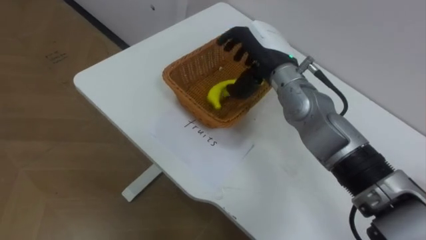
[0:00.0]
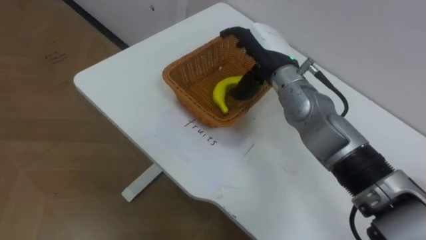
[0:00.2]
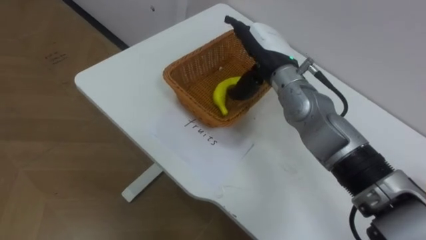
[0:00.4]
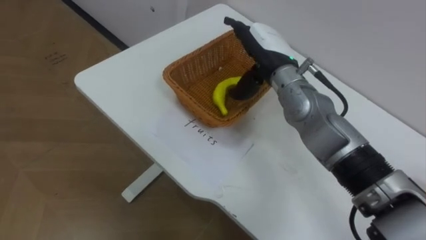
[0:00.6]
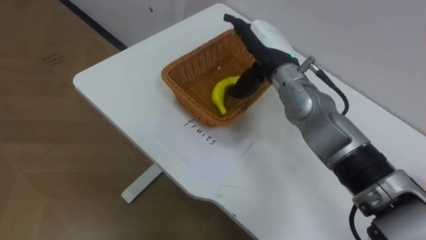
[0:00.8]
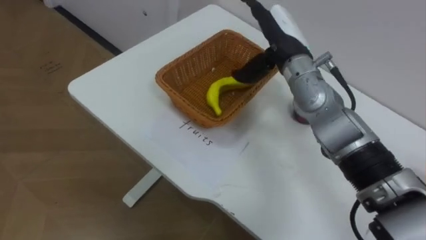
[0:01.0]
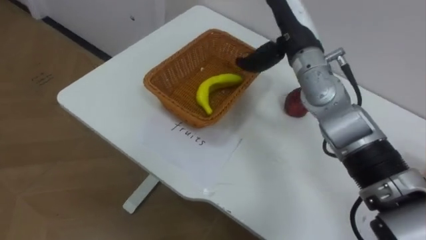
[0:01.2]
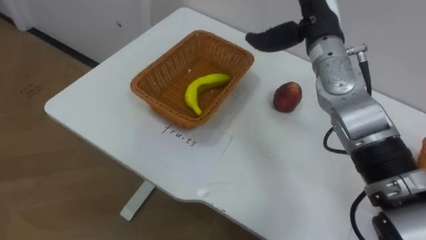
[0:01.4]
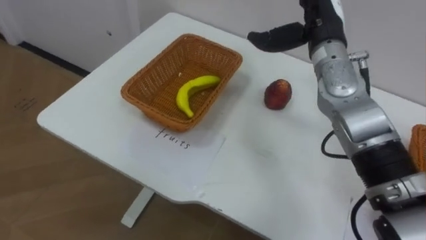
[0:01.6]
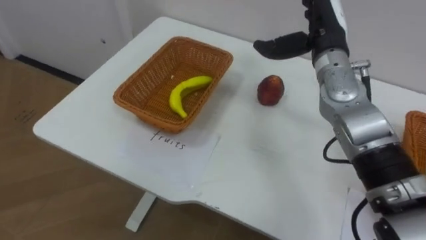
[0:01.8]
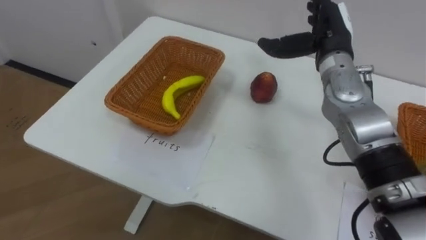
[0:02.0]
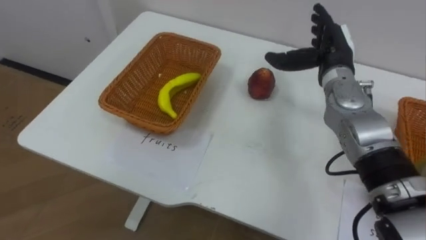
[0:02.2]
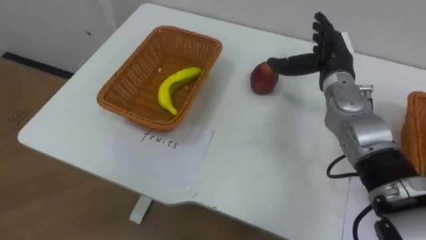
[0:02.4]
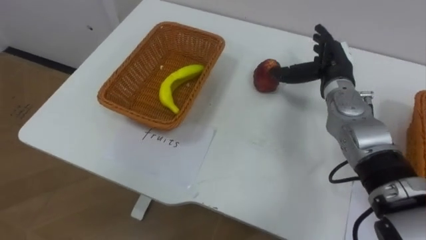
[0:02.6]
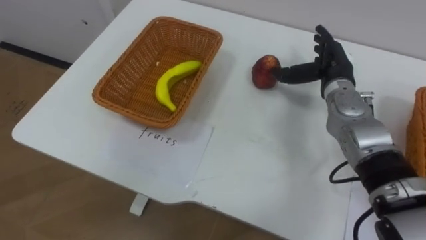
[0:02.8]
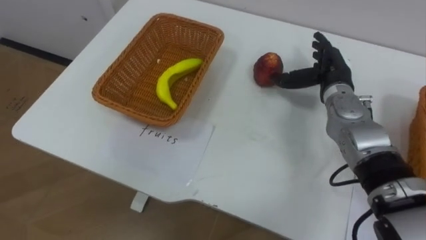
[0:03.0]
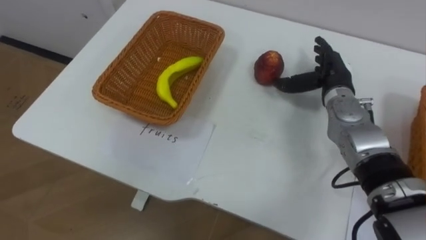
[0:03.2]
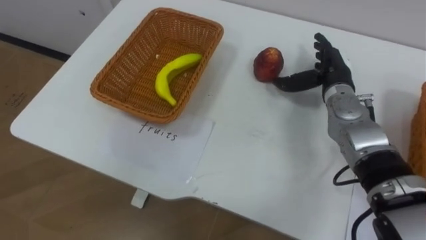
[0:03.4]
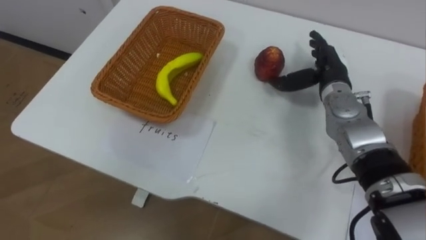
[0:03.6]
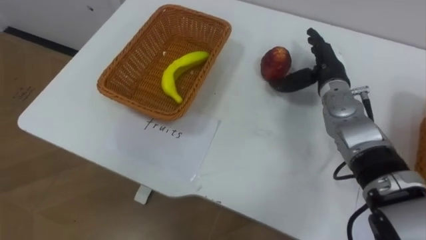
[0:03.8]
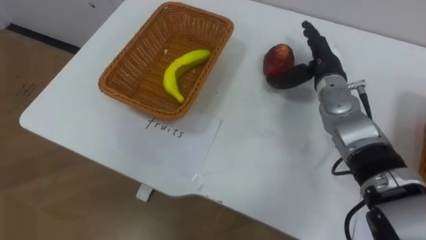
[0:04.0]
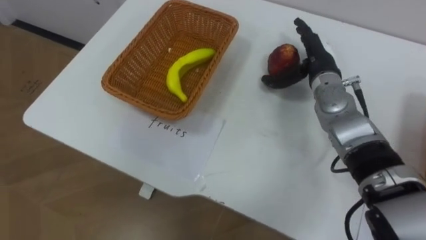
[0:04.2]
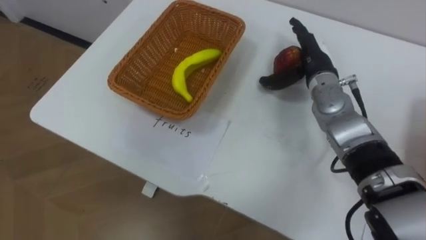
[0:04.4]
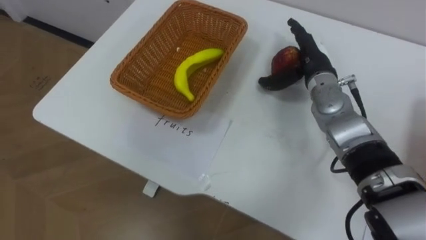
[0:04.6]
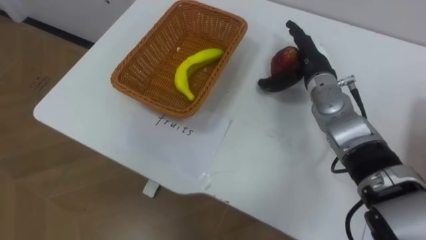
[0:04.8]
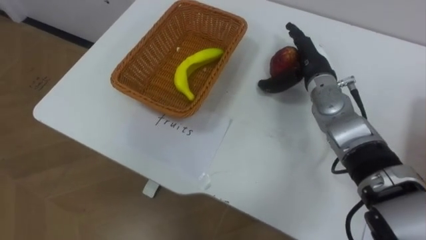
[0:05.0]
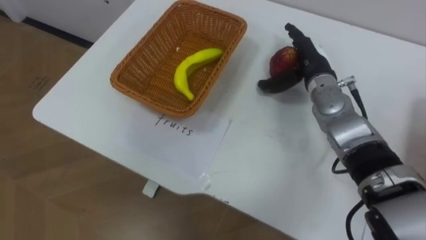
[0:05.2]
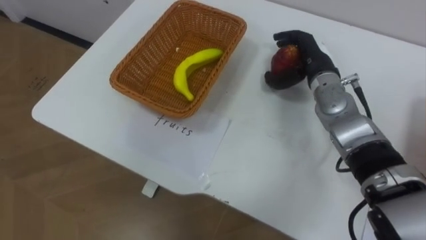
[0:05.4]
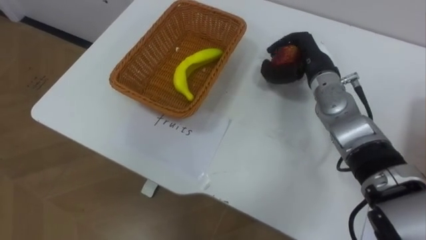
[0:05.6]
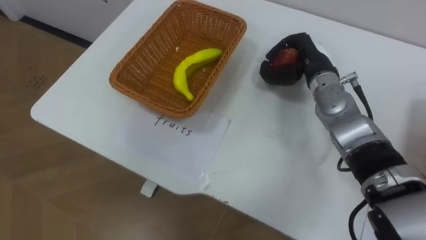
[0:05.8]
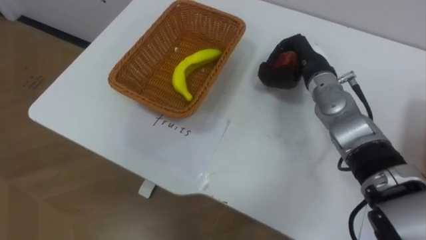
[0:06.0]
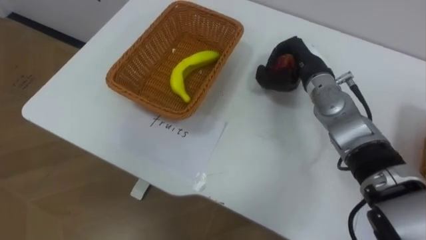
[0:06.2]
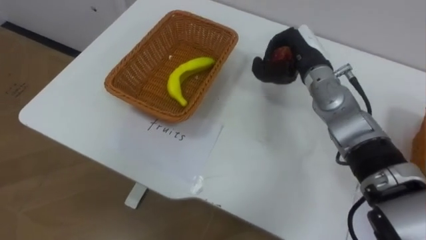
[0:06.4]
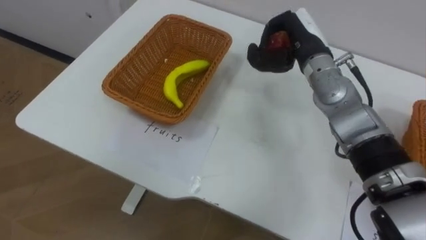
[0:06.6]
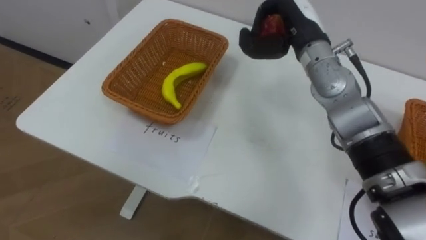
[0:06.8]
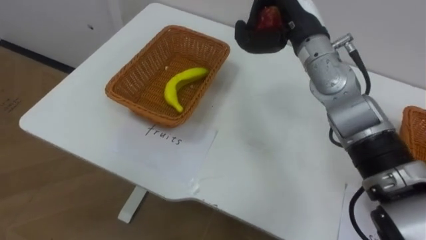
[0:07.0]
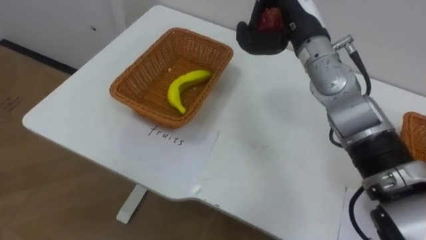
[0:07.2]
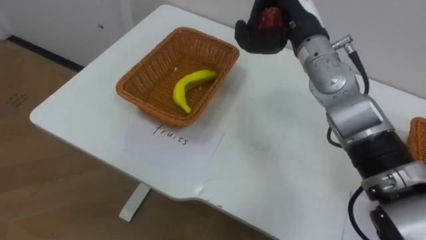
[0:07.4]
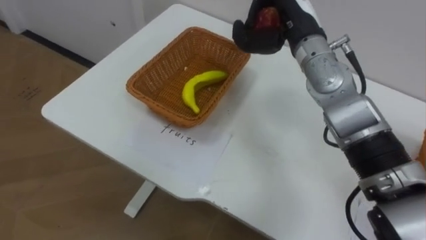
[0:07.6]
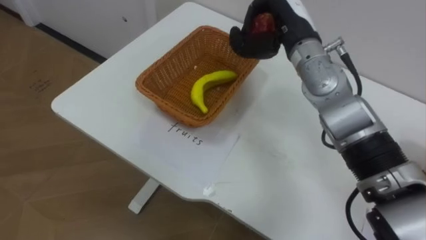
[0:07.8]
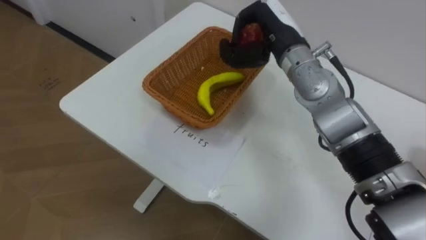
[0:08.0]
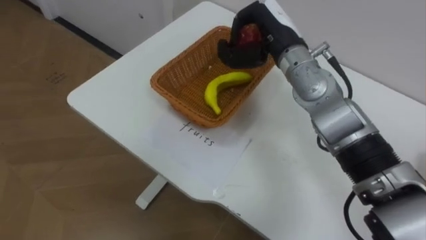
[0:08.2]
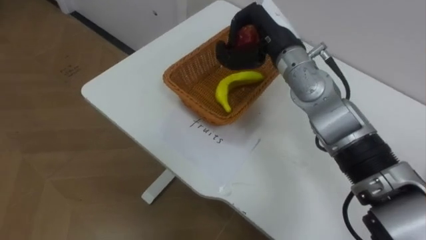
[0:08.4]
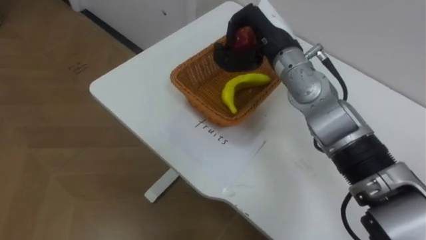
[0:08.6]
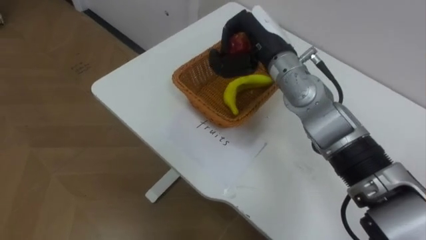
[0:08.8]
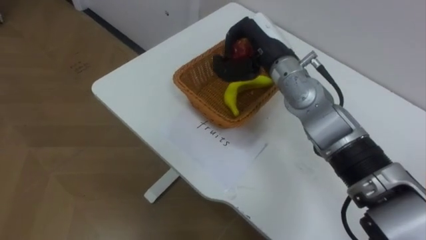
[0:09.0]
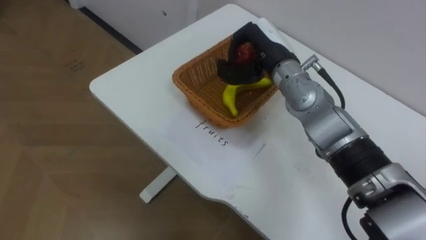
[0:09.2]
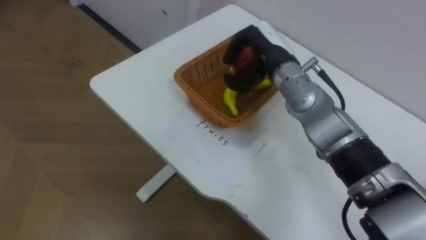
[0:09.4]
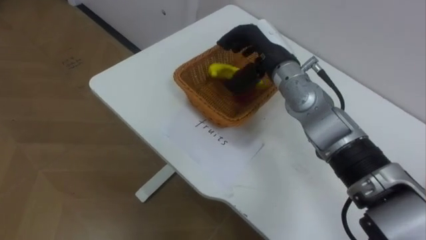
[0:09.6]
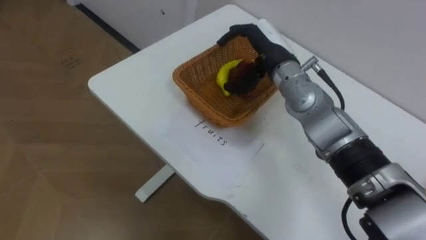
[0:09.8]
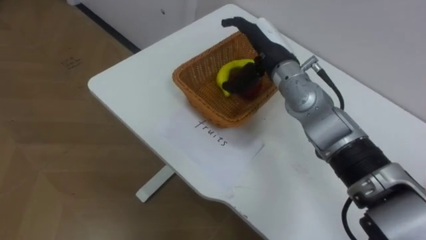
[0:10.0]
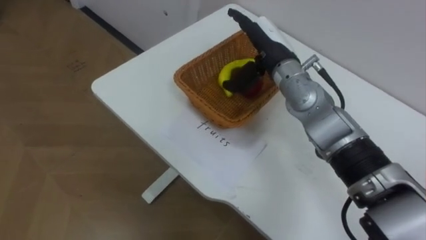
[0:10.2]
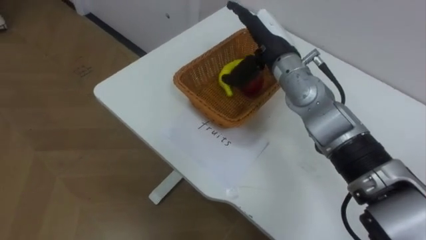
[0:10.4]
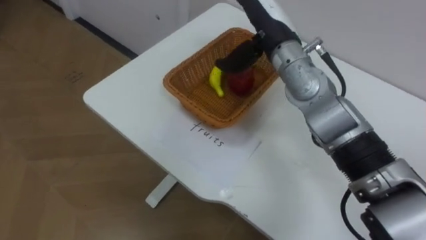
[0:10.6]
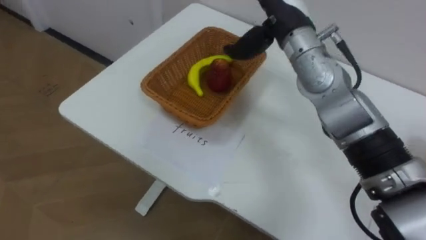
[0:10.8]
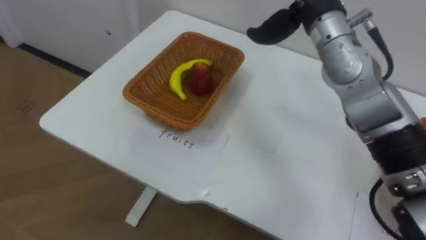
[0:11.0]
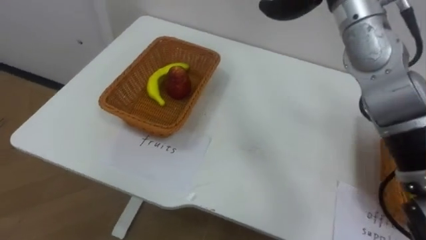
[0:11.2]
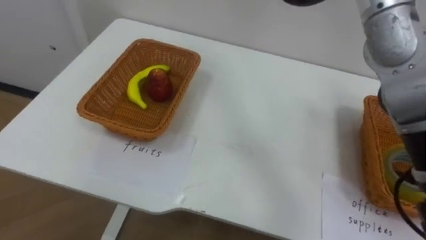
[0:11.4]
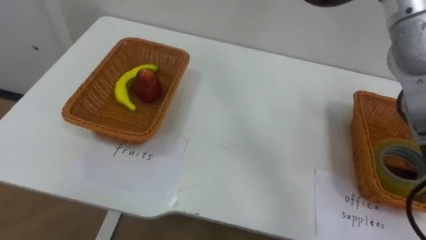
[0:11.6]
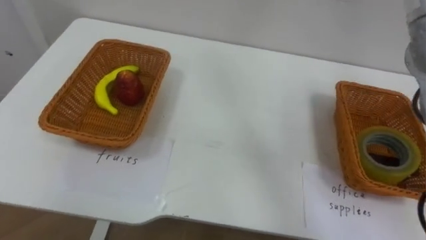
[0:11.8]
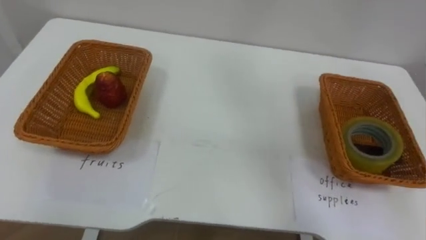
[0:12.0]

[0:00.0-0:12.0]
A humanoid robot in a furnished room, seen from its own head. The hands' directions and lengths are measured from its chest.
Task of the whole recording: Separate the items on the table and place them into the two baskets.
0:00.0 to 0:01.6: The right hand is displaced to the right by some 10 cm, and opens up.
0:01.6 to 0:03.0: The right hand is displaced downward and to the right by roughly 10 cm.
0:04.4 to 0:06.0: The right hand closes up.
0:06.0 to 0:07.6: The right hand moves upward, approximately 10 cm.
0:07.6 to 0:09.0: The right hand changes place by some 5 cm.
0:09.0 to 0:10.4: The right hand opens.

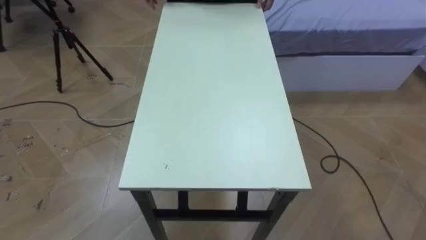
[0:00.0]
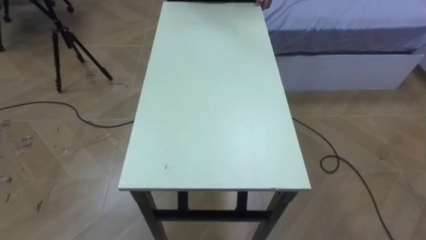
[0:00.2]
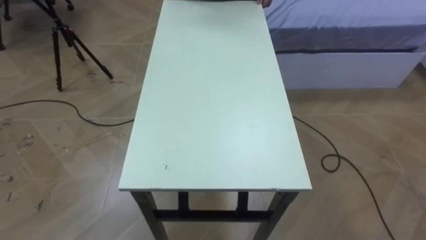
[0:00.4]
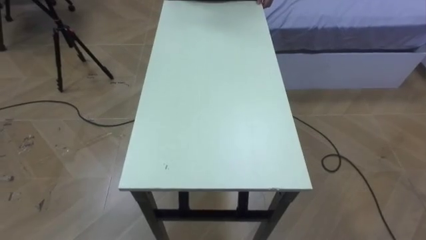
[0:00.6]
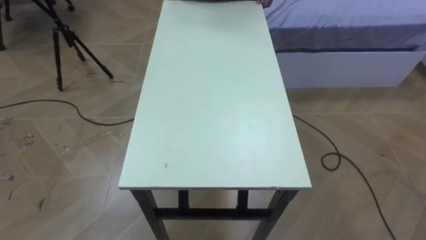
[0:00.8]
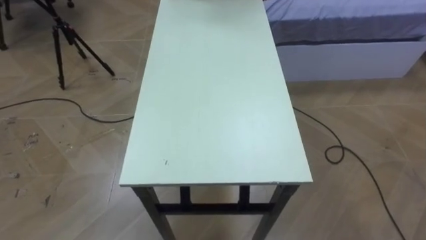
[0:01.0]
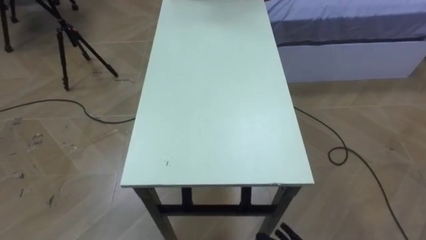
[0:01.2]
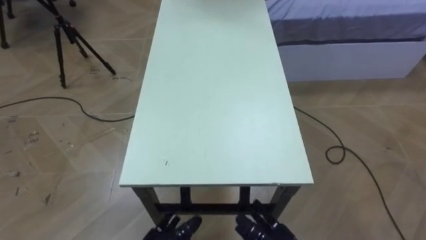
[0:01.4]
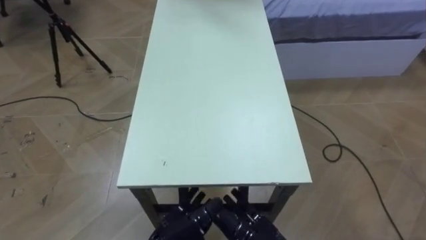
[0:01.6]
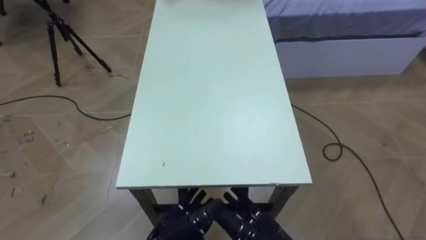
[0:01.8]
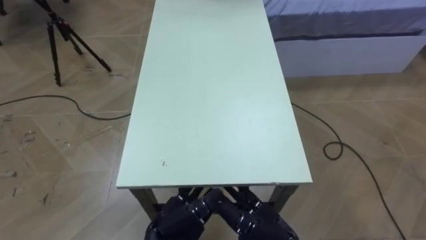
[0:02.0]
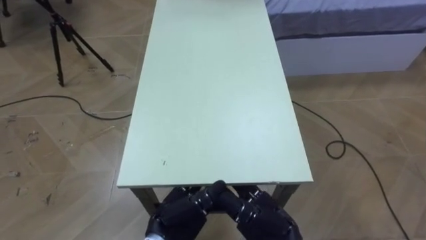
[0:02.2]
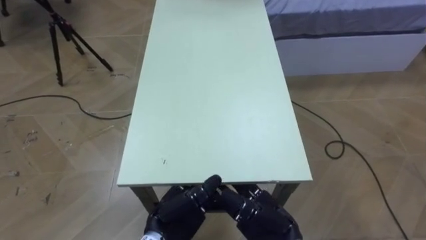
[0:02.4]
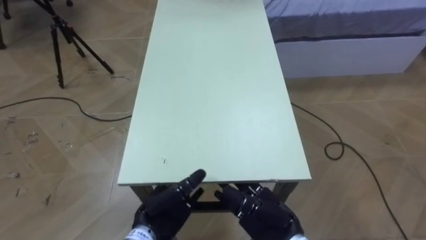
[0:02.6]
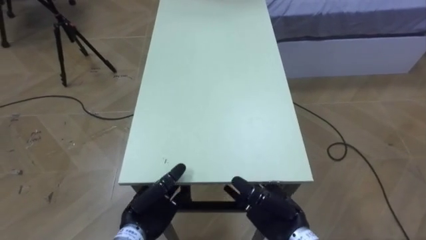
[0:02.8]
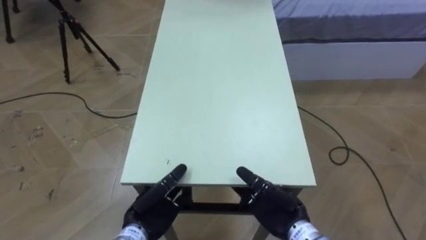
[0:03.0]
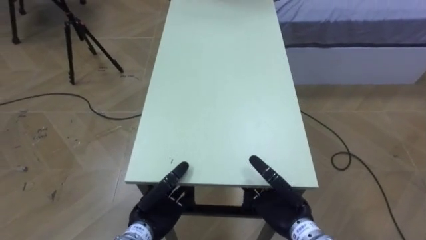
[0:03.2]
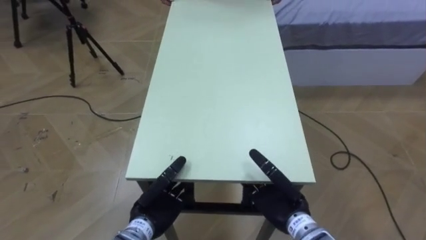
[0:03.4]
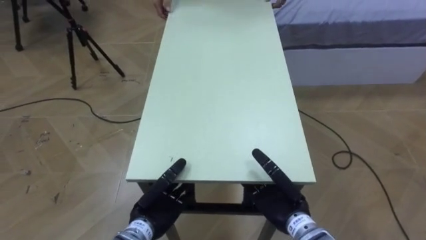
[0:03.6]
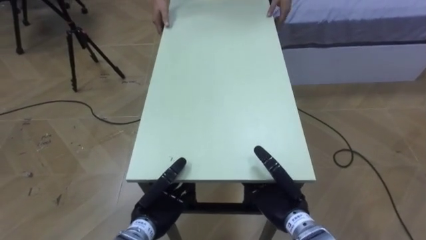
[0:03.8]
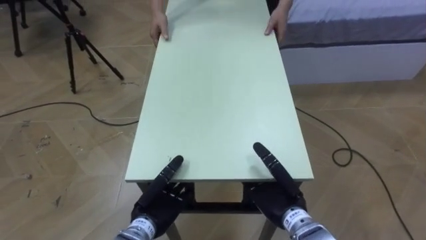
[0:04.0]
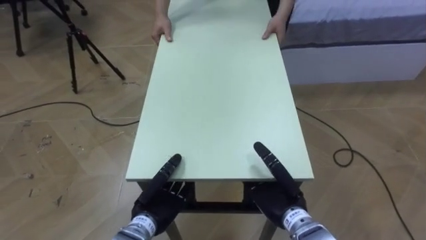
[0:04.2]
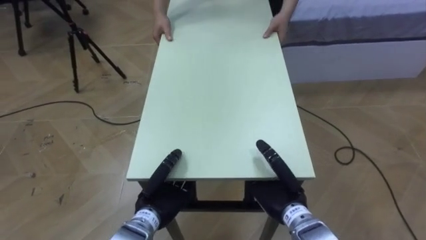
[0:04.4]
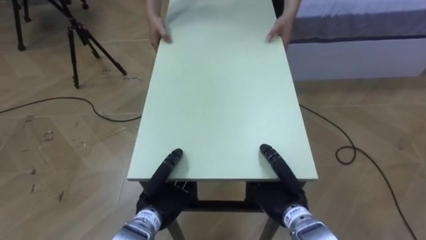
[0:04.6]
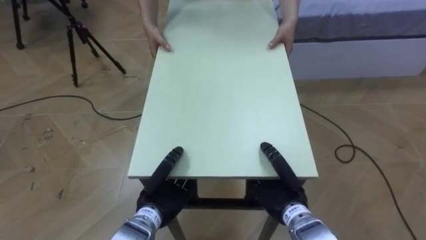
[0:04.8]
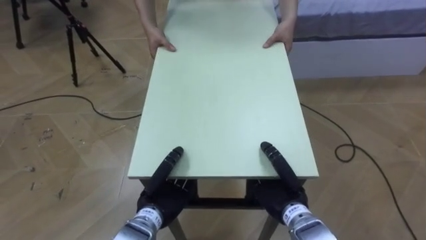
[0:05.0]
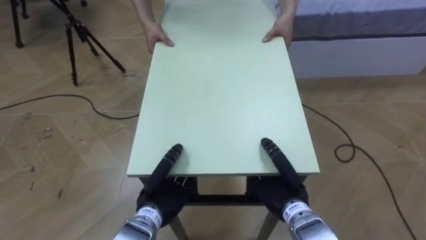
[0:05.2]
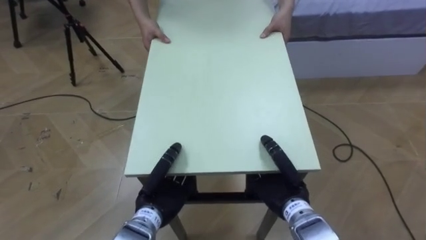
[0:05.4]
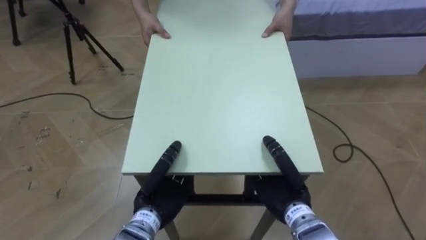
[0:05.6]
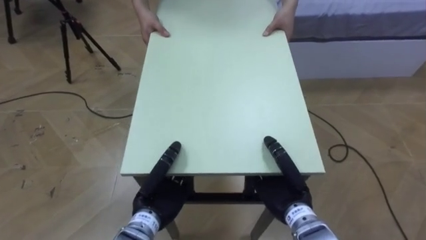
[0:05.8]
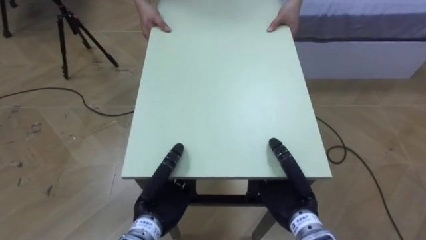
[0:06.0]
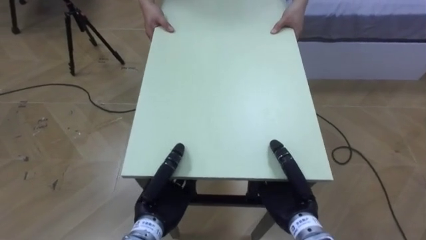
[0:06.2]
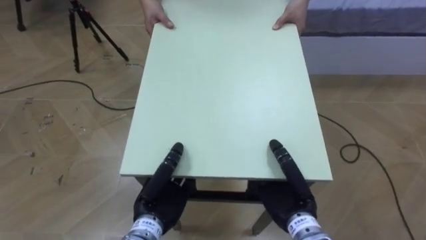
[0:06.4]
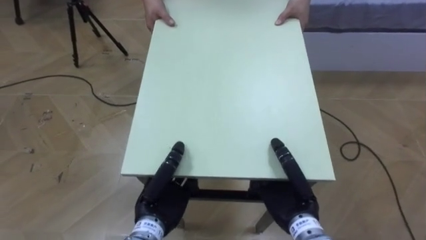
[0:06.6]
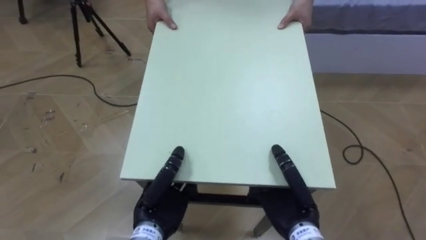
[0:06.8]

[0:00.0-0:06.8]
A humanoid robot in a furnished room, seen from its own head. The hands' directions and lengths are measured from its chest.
Task of the whole recording: Move the table to the back left with someone.
0:04.0 to 0:05.4: The right hand closes, while the left hand closes its fingers.
